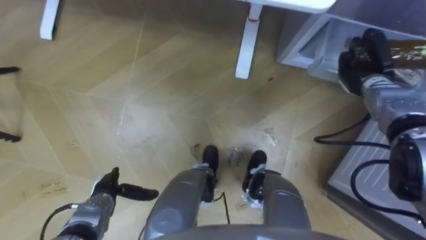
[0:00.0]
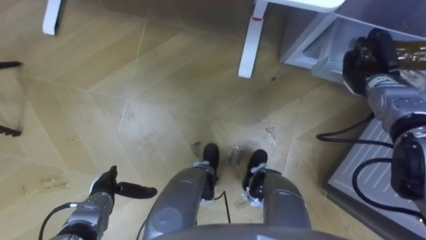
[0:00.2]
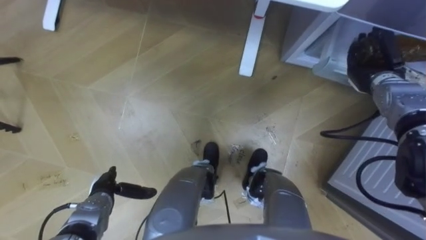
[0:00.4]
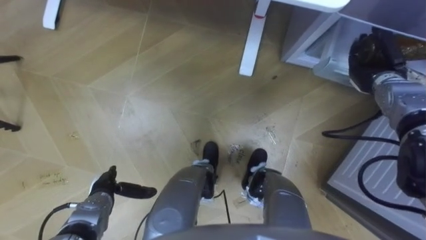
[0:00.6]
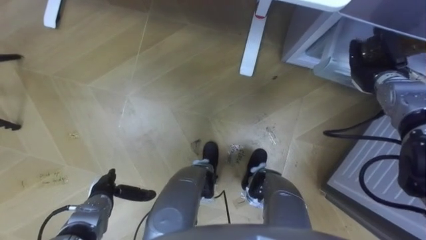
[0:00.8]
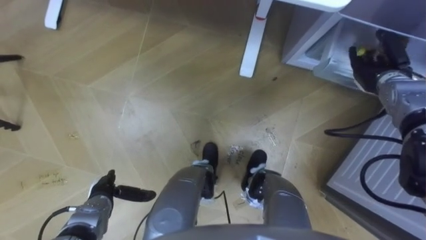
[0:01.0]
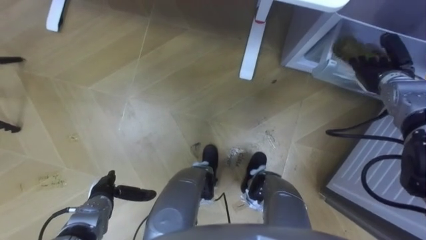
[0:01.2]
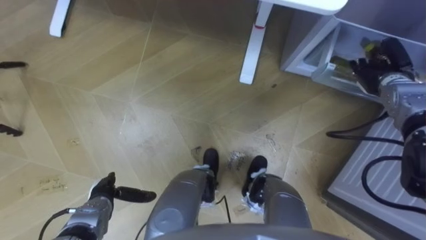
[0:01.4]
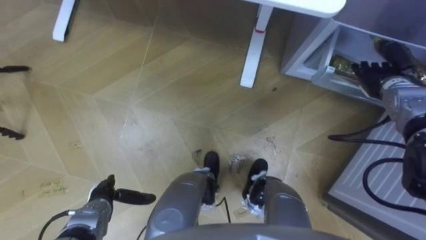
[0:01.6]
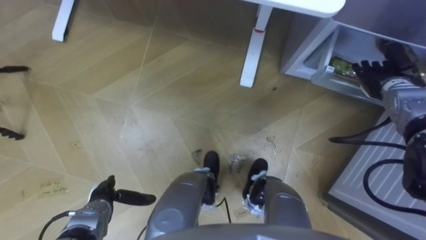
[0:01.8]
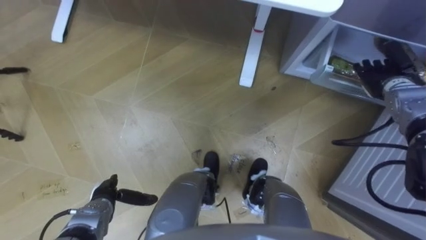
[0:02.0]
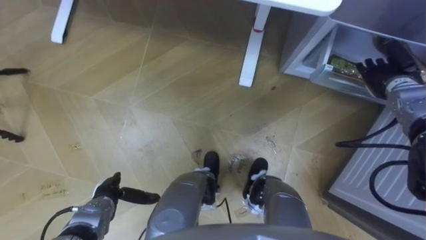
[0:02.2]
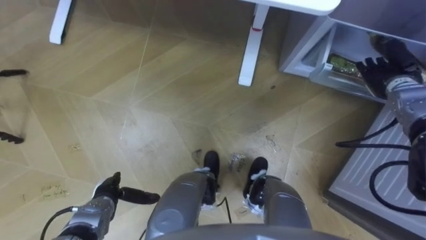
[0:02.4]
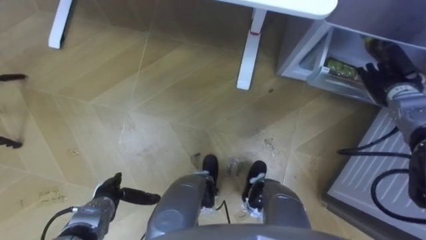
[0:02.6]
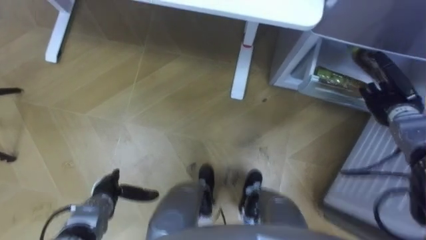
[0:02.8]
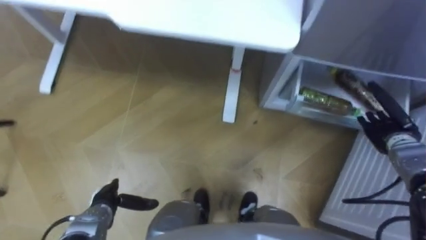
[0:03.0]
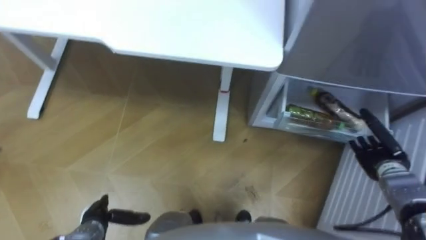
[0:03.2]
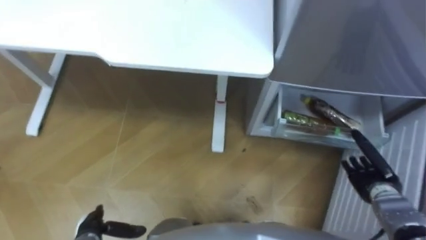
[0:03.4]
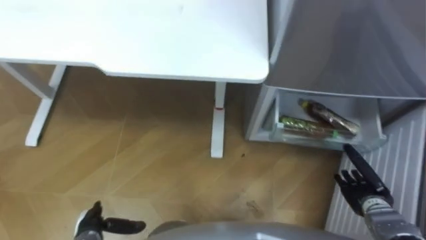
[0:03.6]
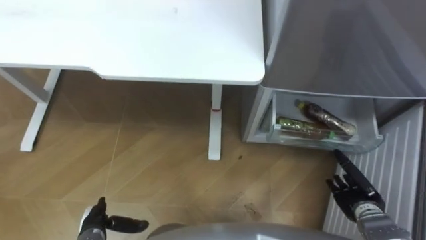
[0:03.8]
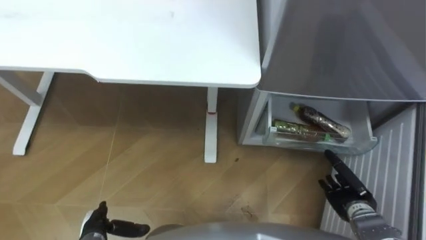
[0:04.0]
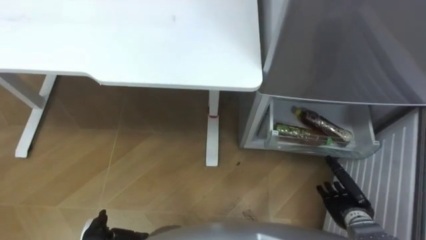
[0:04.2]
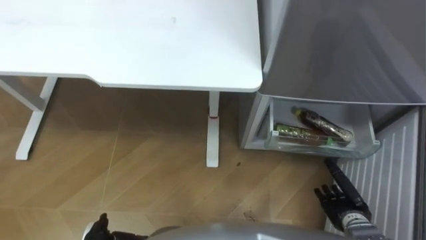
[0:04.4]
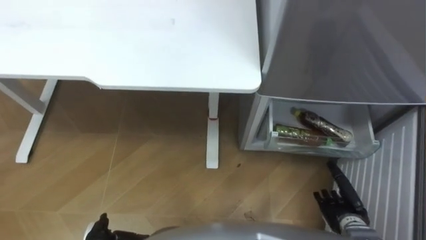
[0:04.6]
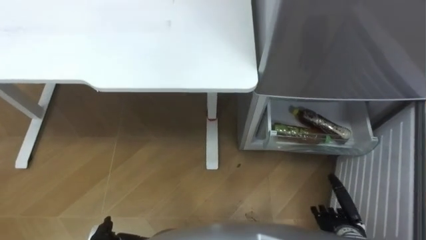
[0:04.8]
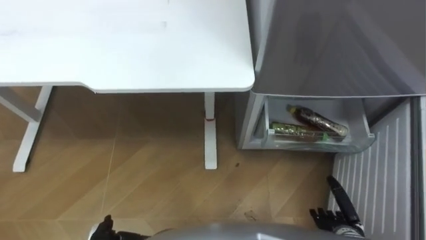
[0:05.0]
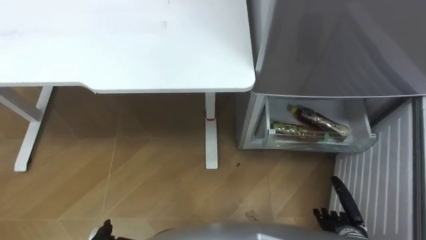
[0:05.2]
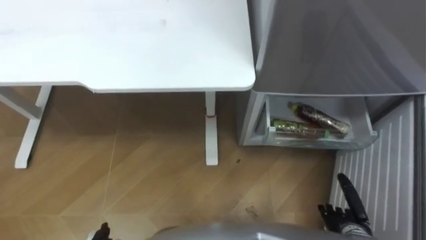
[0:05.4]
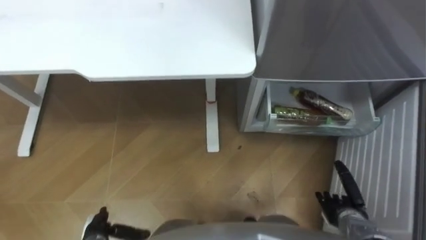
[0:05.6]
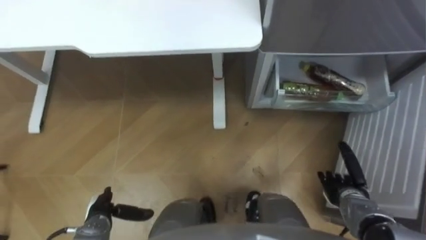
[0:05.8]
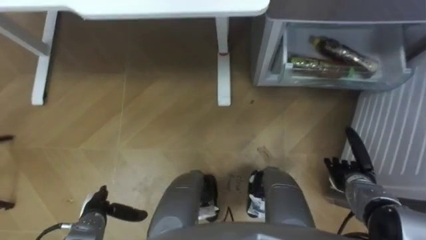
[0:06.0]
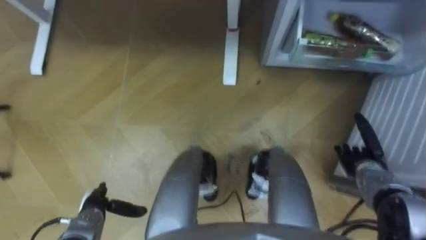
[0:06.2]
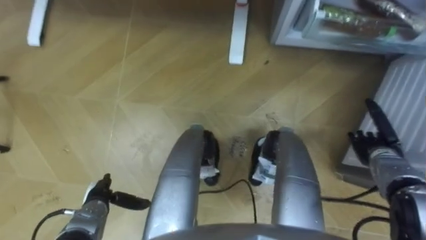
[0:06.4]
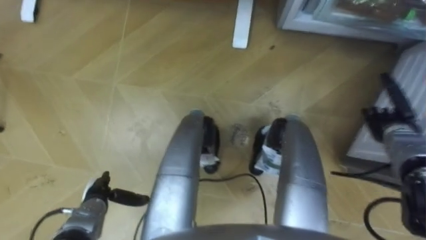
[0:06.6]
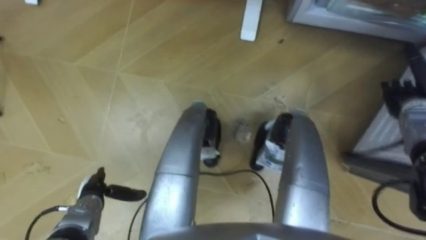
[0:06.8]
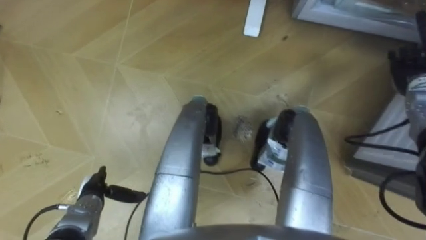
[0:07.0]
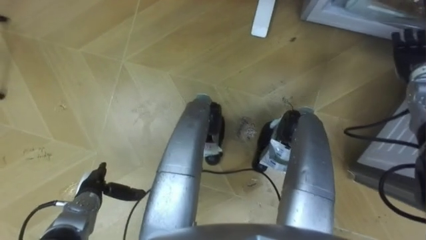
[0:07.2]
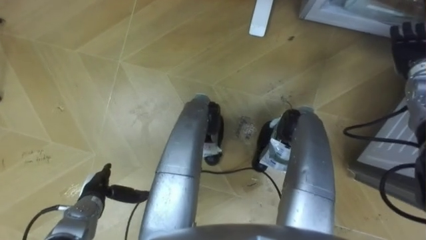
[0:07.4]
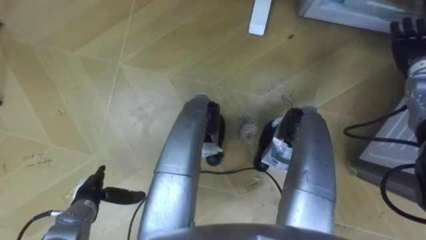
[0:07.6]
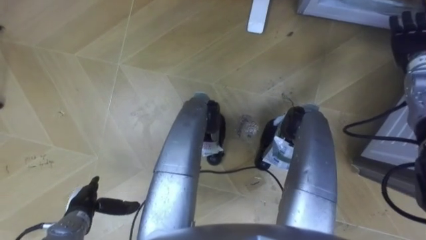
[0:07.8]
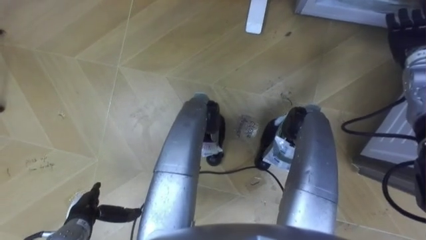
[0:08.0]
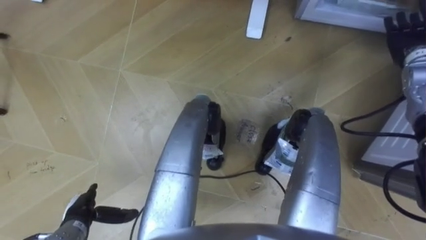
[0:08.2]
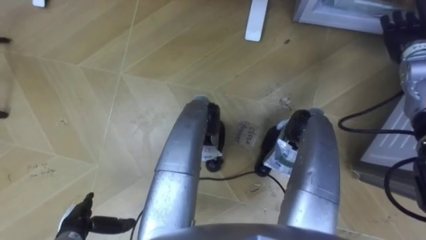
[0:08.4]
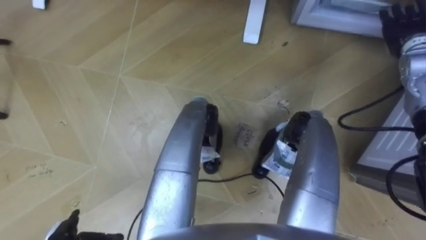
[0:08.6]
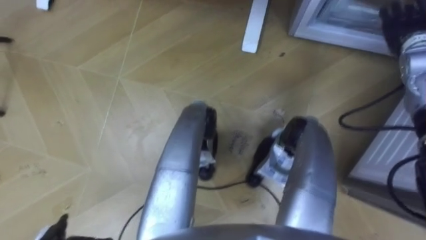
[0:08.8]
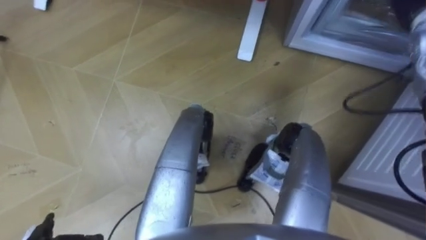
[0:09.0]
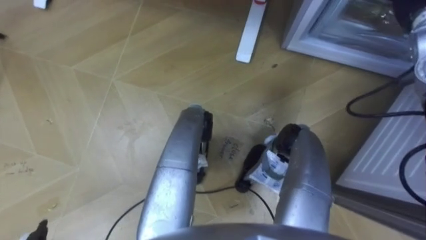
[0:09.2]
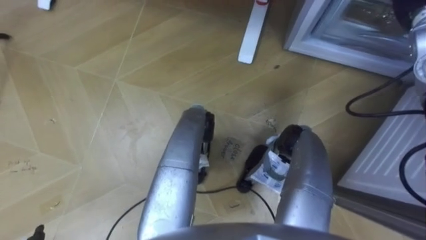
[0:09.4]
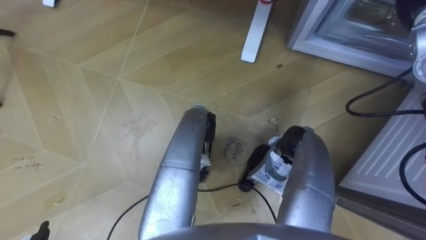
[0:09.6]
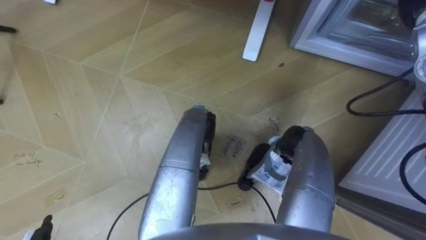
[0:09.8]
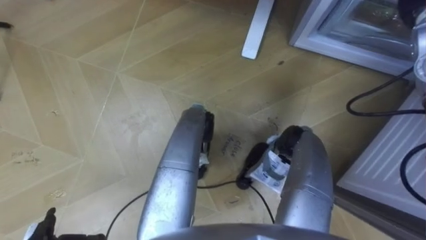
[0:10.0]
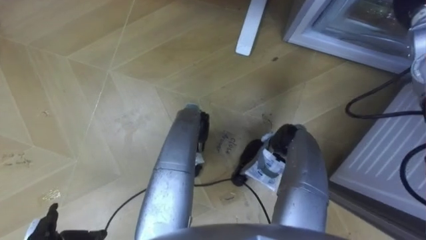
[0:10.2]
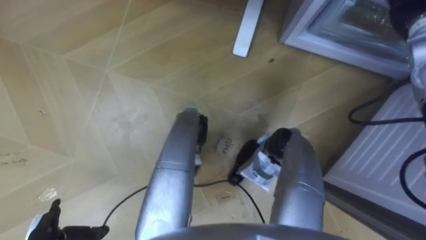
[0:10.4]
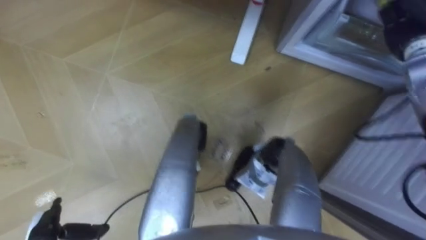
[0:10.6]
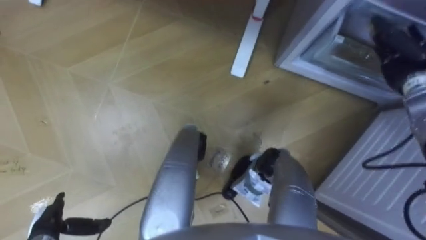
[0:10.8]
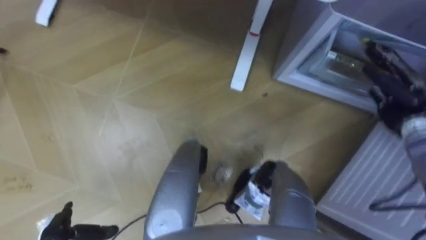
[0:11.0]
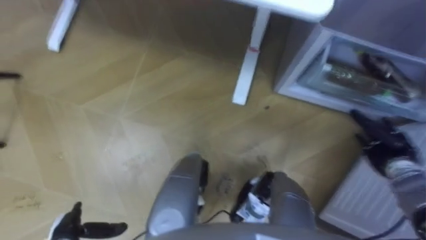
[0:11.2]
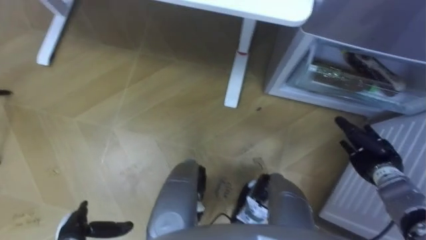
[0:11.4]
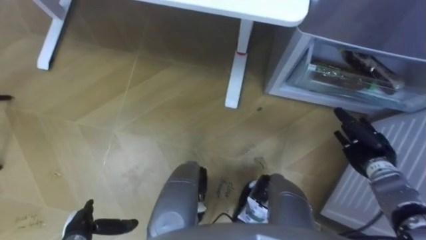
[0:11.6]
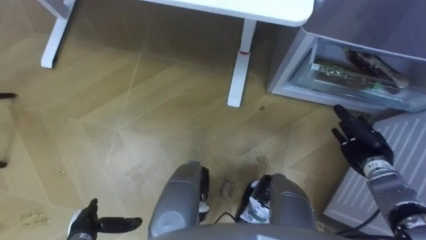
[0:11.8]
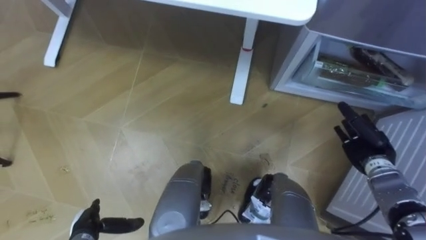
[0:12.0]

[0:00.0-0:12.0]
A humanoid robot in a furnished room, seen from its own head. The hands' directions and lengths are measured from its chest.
Task of the whole recording: Place the drink on the table on the bottom shelf of the refrigerator, then close the drawer and the refrigerator door.
0:00.0 to 0:01.6: The right hand opens up.
0:01.6 to 0:03.0: The right hand is displaced backward and downward by about 10 cm.
0:03.0 to 0:04.4: The right hand goes roughly 20 cm backward, downward and to the left.
0:04.4 to 0:06.0: The right hand goes about 5 cm forward.
0:06.0 to 0:07.6: The right hand heads upward and forward, covering some 30 cm.
0:07.6 to 0:09.0: The right hand travels upward by some 5 cm.
0:10.4 to 0:12.0: The right hand heads downward and backward, covering approximately 30 cm.

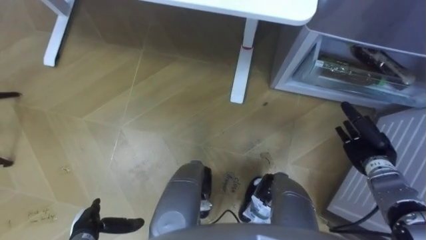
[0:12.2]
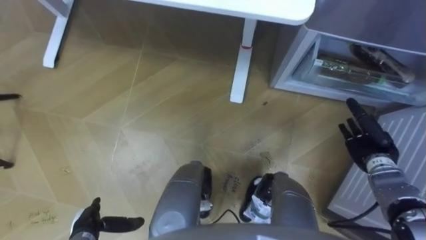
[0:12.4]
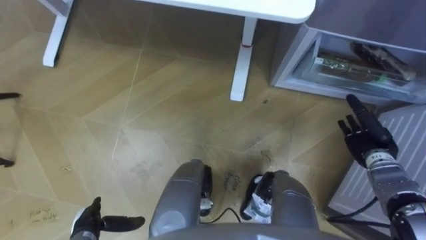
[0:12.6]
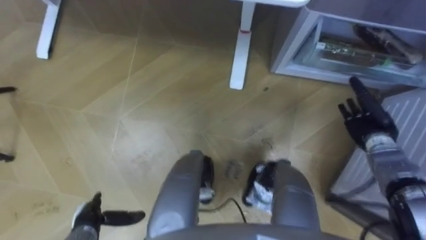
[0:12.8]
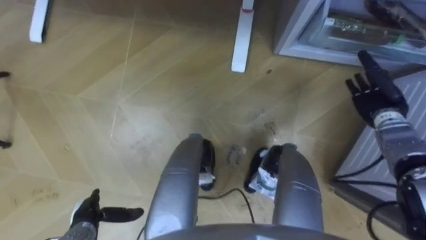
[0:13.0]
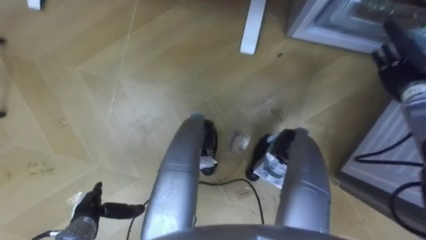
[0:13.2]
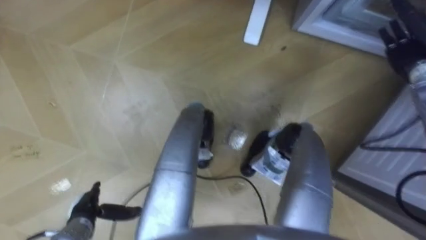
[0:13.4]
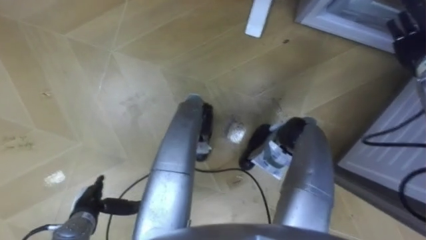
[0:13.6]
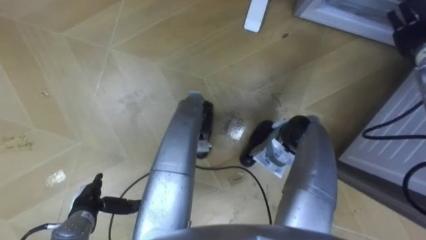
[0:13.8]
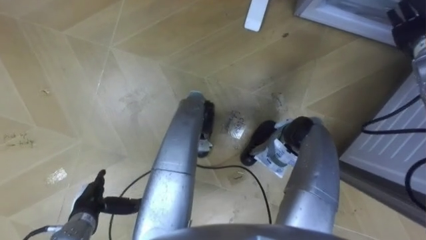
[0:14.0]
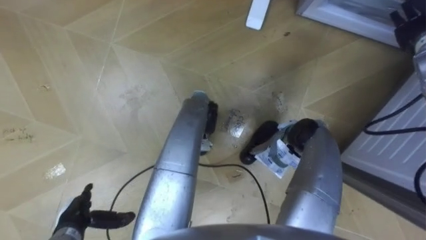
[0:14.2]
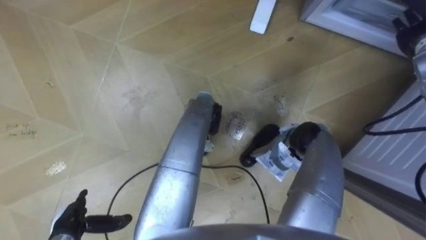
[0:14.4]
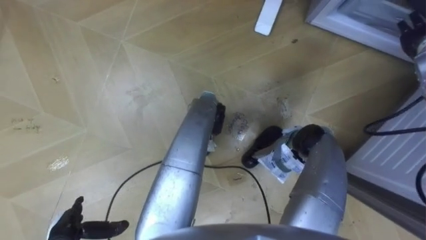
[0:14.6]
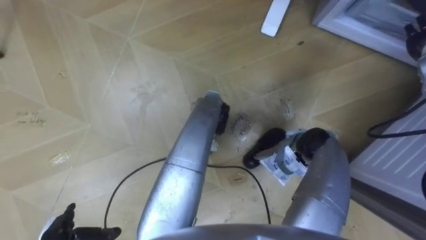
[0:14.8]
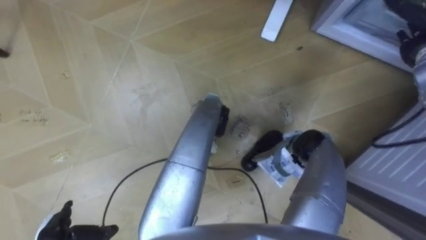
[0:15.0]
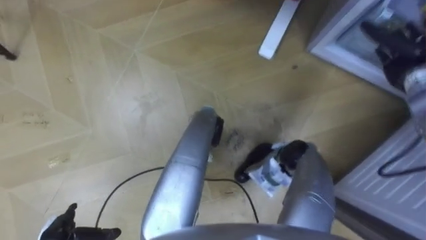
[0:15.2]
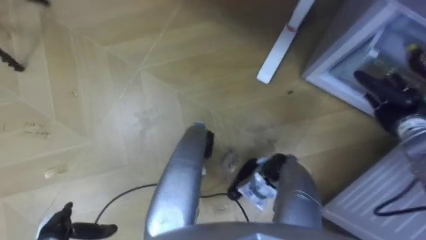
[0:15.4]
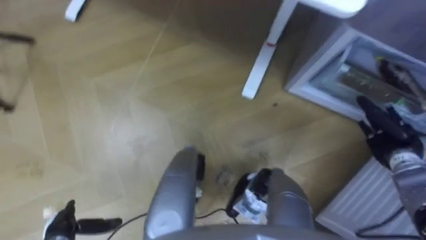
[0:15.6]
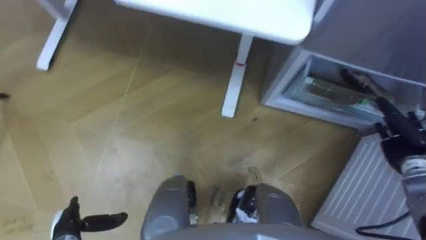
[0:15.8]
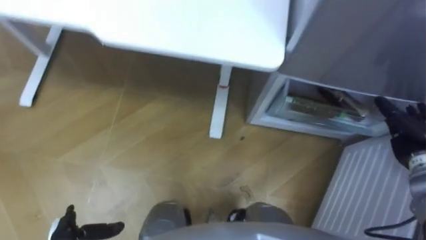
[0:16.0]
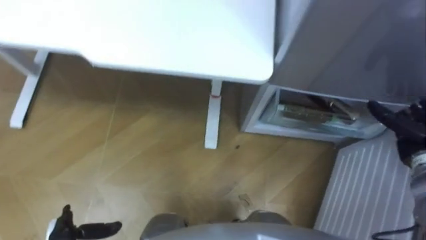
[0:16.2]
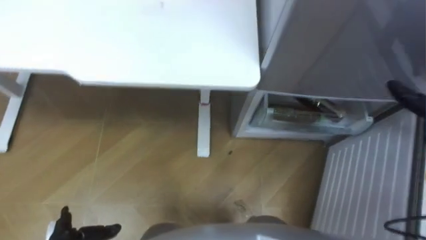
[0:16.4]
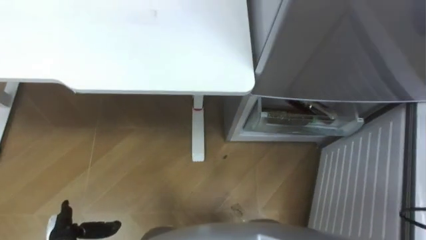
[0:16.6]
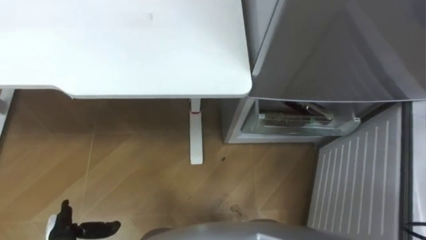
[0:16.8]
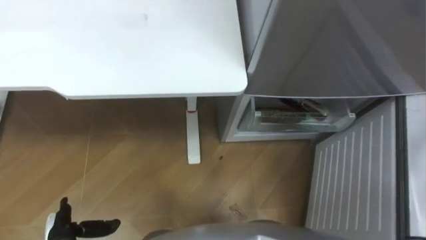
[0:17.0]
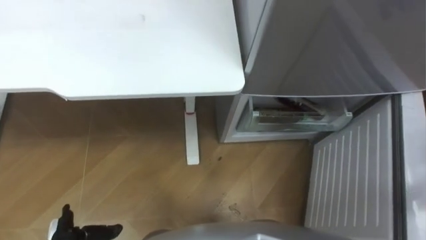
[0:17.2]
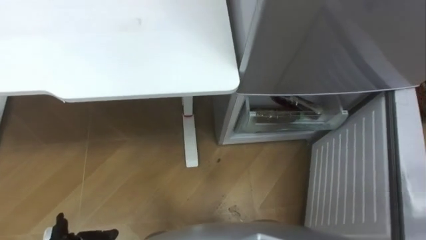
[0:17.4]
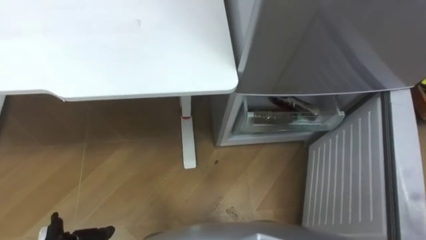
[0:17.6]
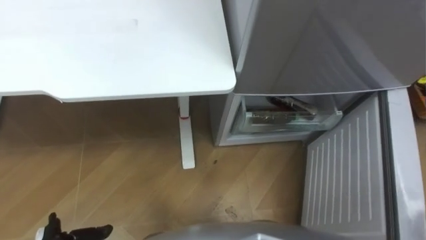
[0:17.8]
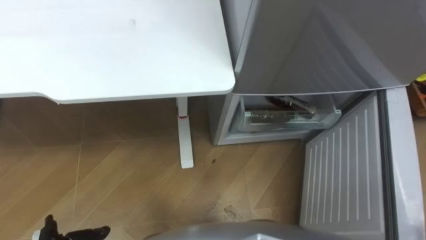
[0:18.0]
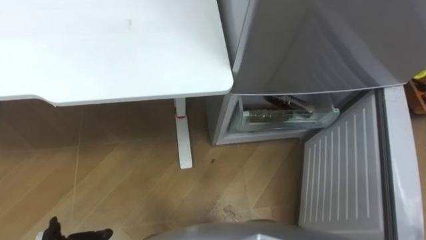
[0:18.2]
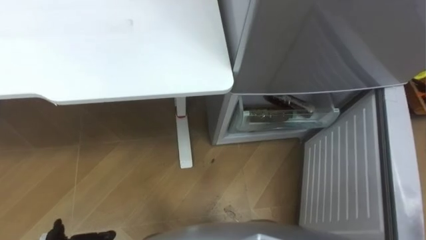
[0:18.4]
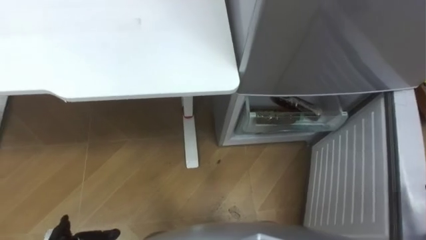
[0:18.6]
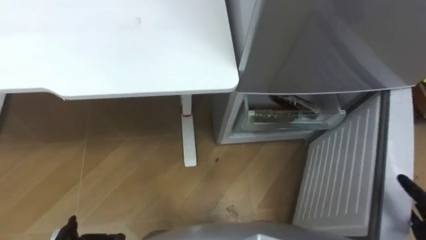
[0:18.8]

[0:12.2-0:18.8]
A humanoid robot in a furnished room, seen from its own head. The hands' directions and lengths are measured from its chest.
Task of the whole recording: Place the drink on the table on the bottom shelf of the refrigerator, then close the drawer and the refrigerator door.
0:12.2 to 0:13.8: The left hand ends up roughly 5 cm from where it was; the right hand goes roughly 25 cm upward and forward.
0:13.8 to 0:15.4: The right hand heads downward and backward, covering about 15 cm.
